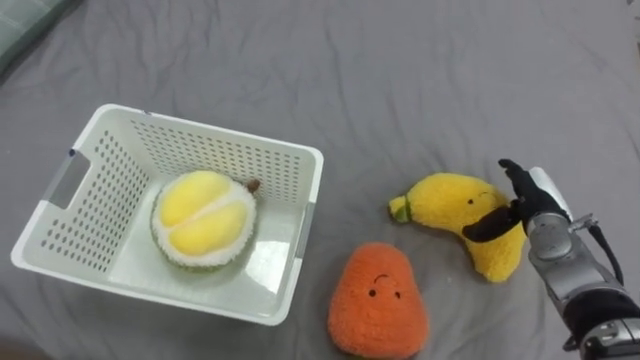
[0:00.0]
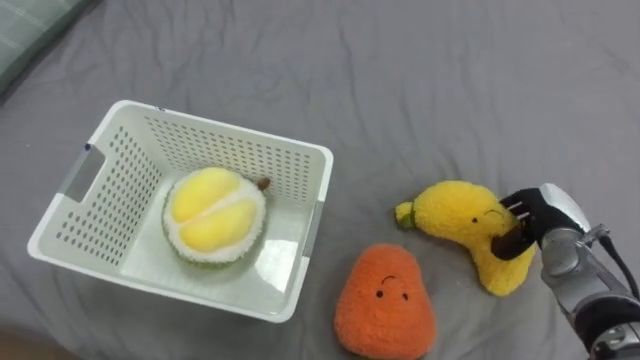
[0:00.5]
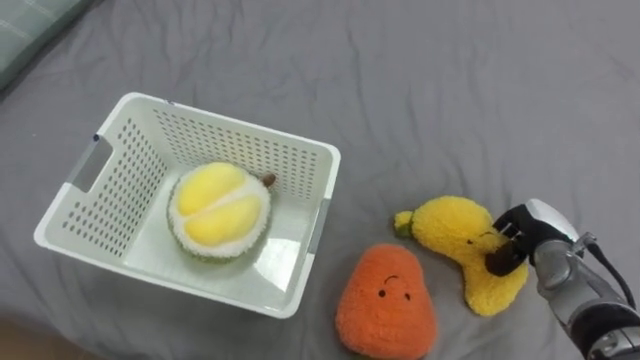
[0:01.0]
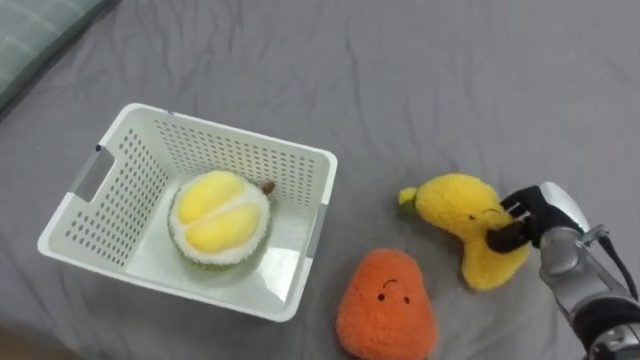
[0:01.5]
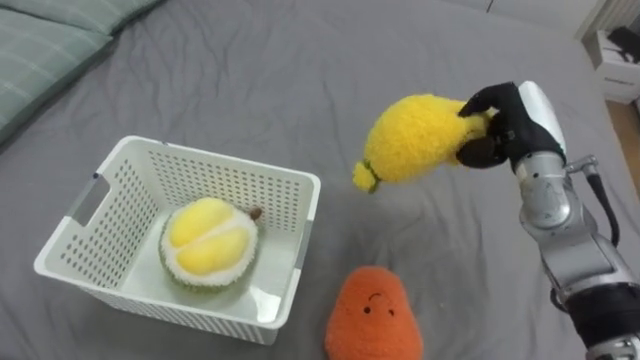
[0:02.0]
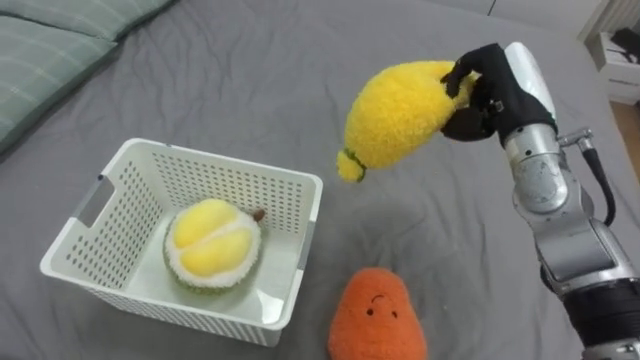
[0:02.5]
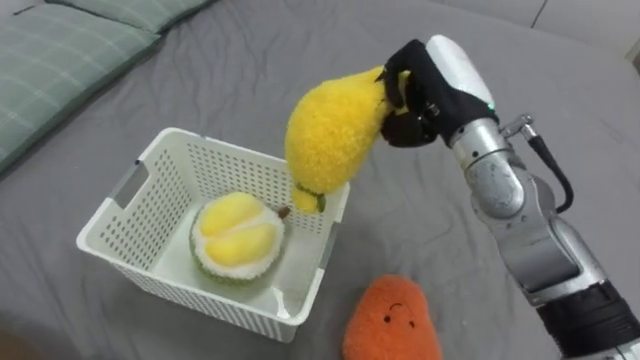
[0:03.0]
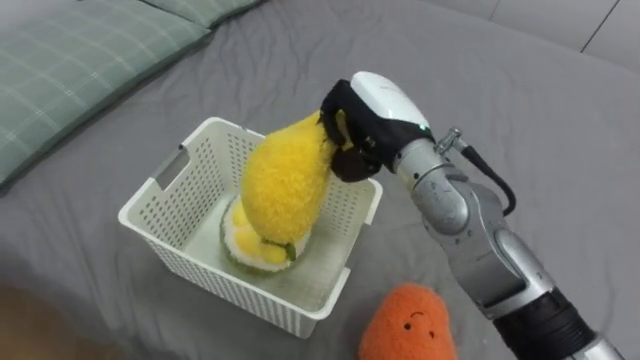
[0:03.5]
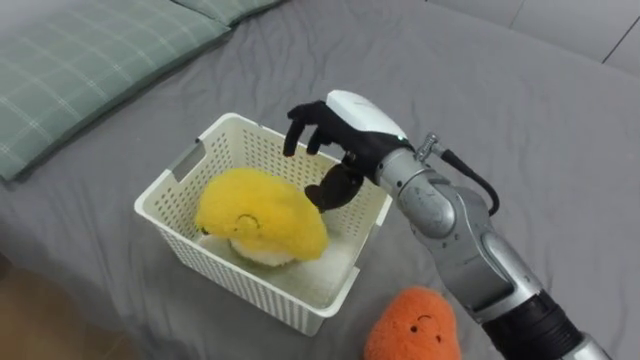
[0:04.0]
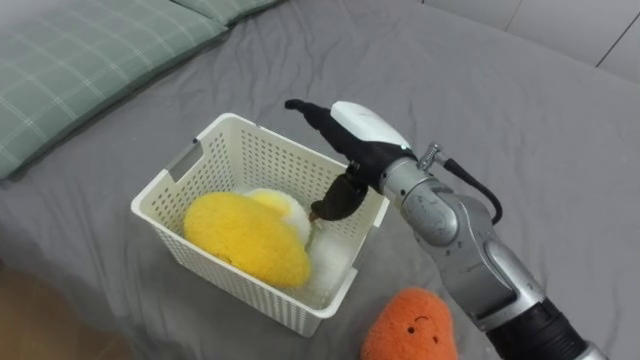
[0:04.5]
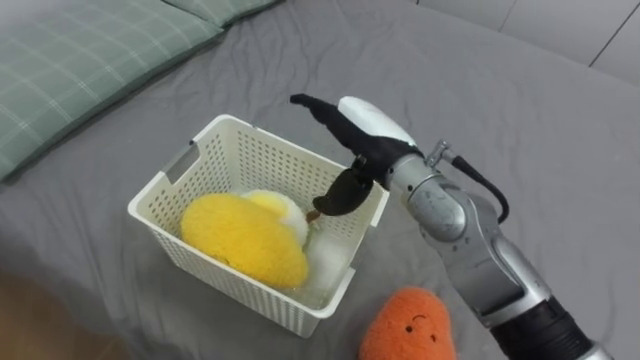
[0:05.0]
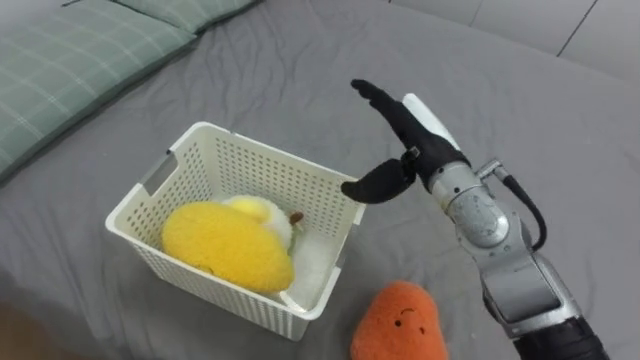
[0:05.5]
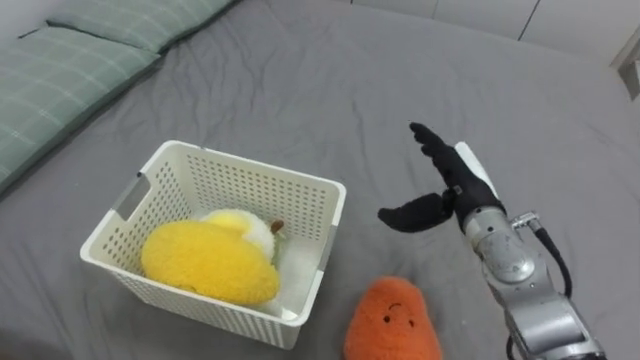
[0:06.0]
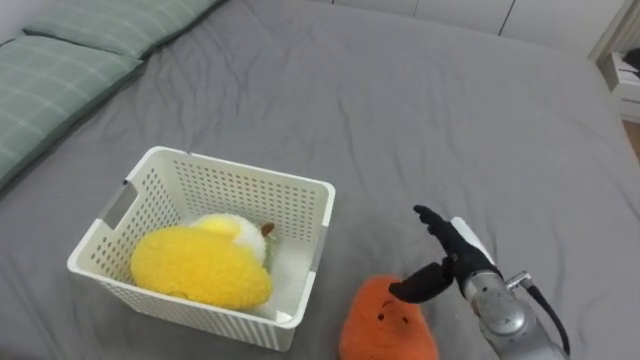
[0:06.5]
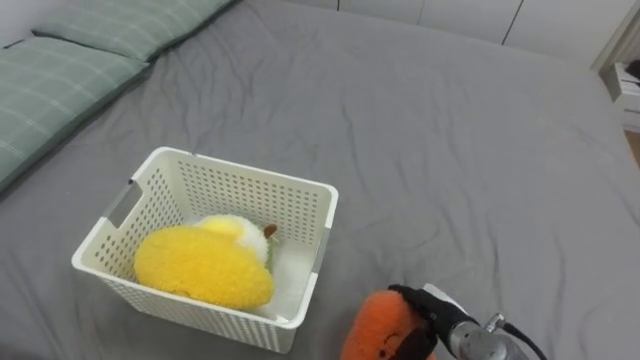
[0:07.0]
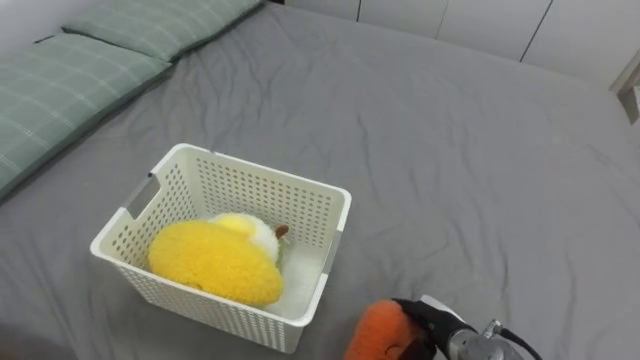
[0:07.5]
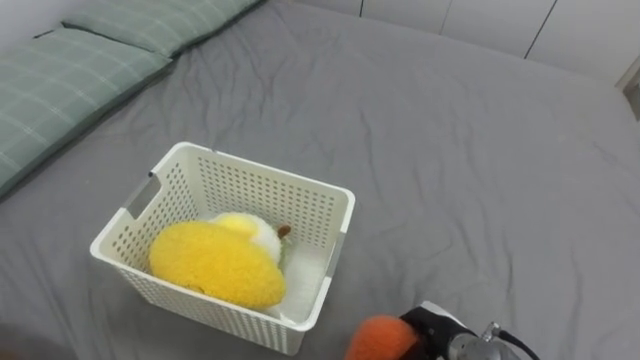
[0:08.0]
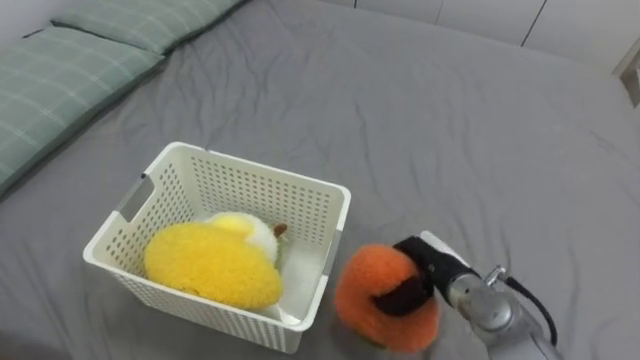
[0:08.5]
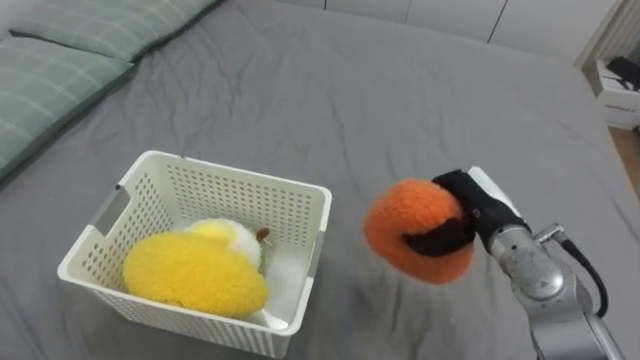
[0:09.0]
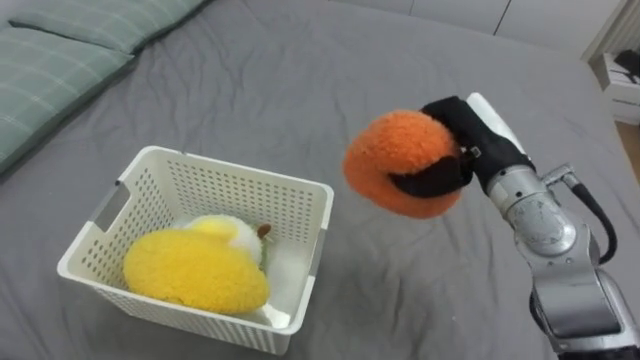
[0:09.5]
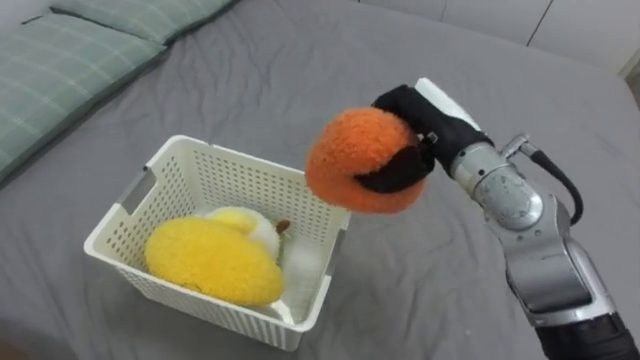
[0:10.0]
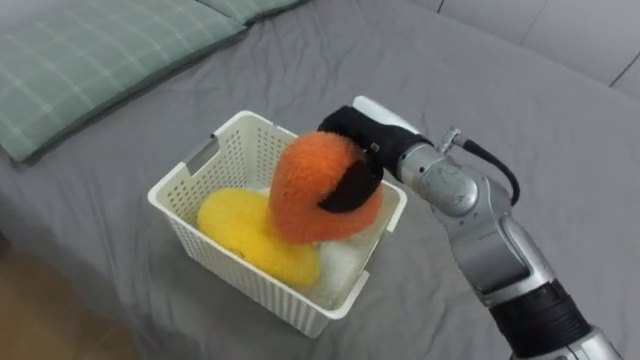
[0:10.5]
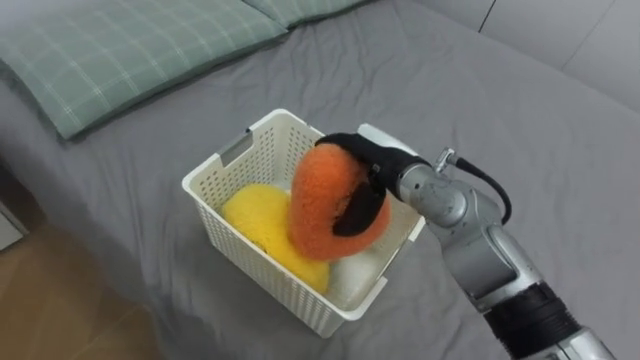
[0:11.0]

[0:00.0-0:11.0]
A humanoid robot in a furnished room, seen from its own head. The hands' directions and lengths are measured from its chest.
Task of the whole recording: Put the toys on the bed into the basket on the left.
0:00.0 to 0:02.0: The right hand moves upward, roughly 10 cm, and closes up.
0:02.0 to 0:03.5: The right hand is displaced to the left by some 20 cm.
0:03.5 to 0:05.5: The right hand ends up roughly 5 cm from where it was, and opens.
0:05.5 to 0:07.5: The right hand is displaced downward and backward by approximately 30 cm.
0:07.5 to 0:09.0: The right hand shifts approximately 20 cm upward and forward, and closes.
0:09.0 to 0:11.0: The right hand is displaced to the left and upward by approximately 15 cm, and opens up.

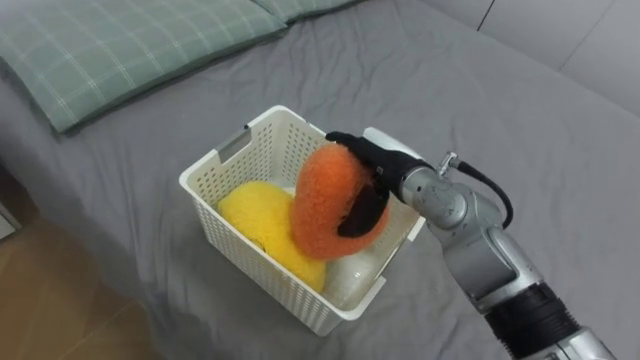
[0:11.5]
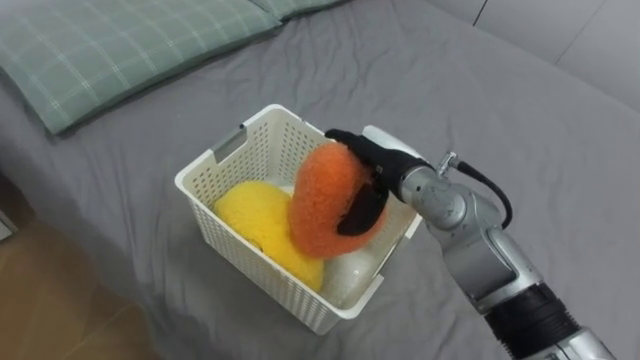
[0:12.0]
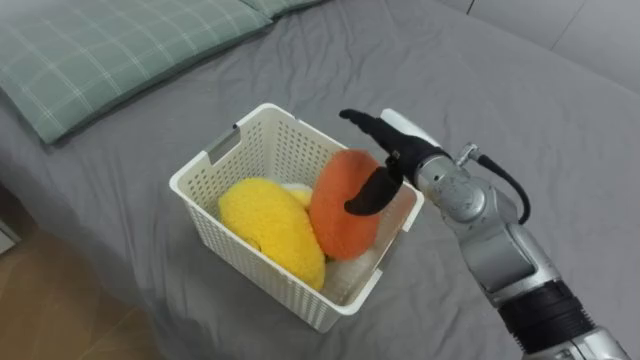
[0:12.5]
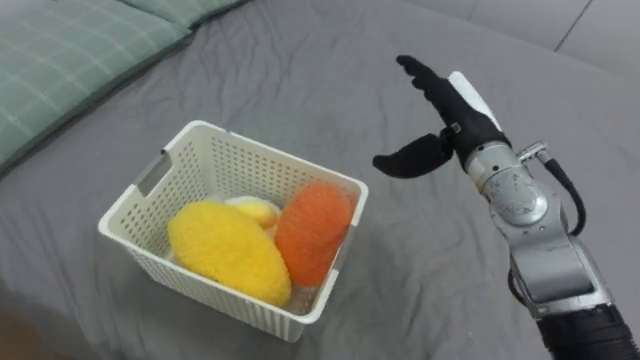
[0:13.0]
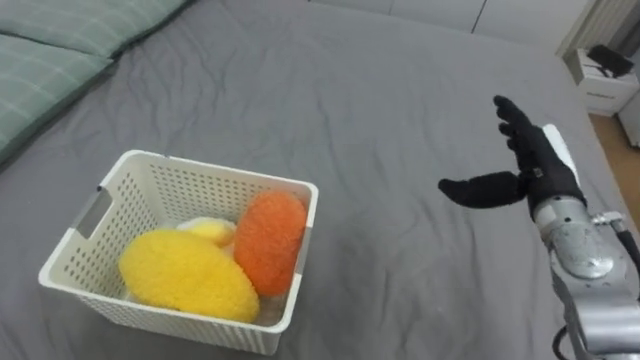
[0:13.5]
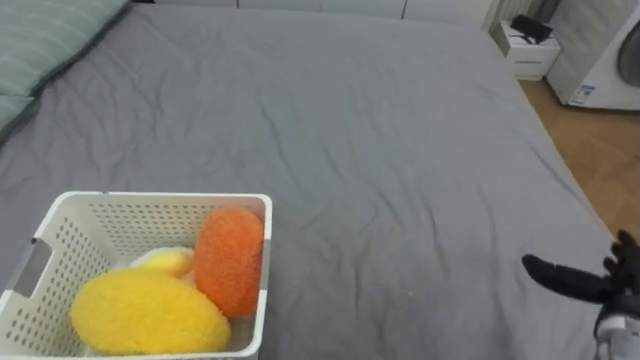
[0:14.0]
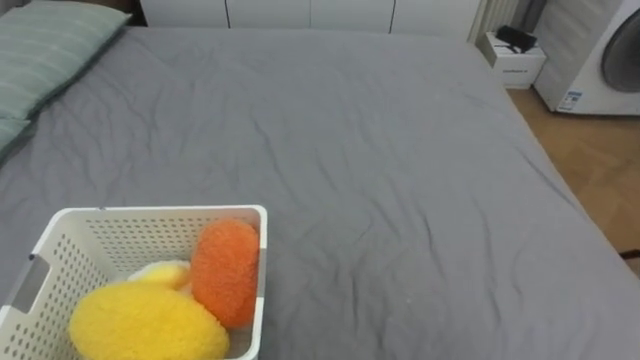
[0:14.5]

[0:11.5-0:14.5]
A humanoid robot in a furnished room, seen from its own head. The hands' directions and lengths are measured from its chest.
Task of the whole recording: Put the toys on the bed into the basket on the left.
0:11.5 to 0:13.0: The right hand goes some 10 cm to the right and upward.

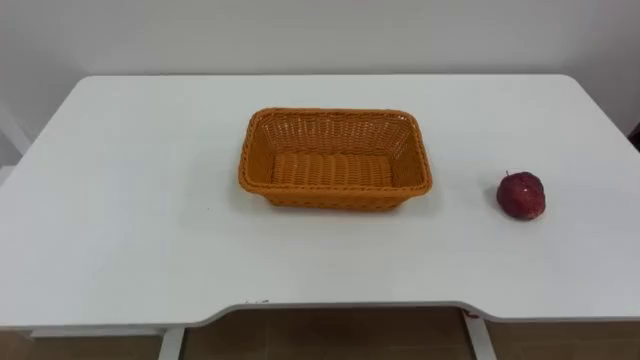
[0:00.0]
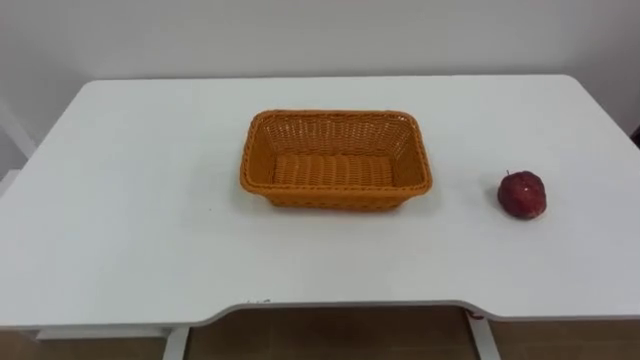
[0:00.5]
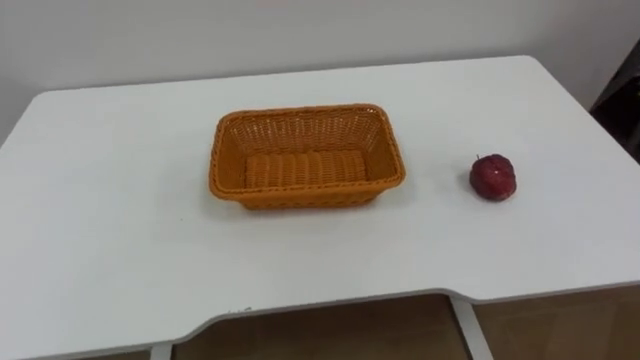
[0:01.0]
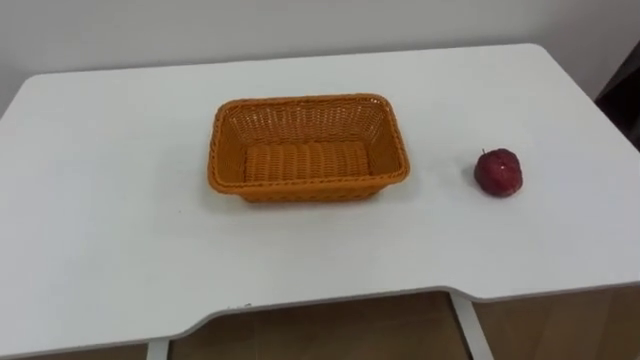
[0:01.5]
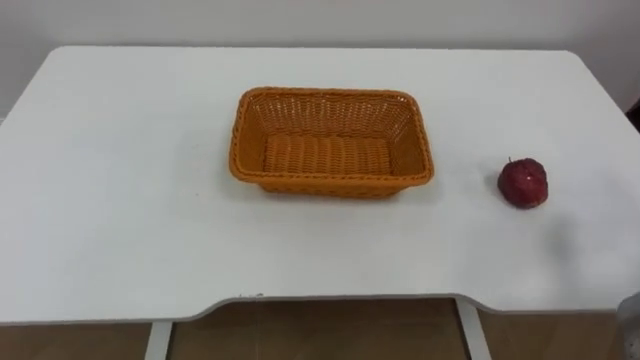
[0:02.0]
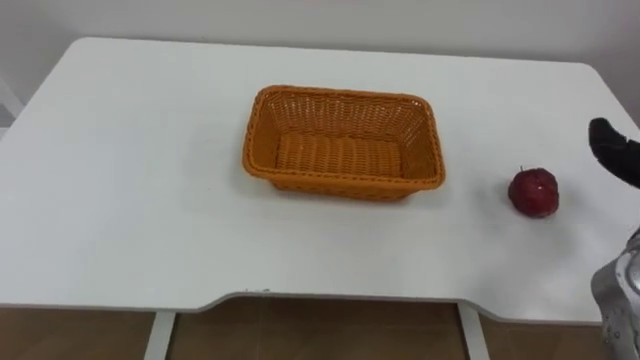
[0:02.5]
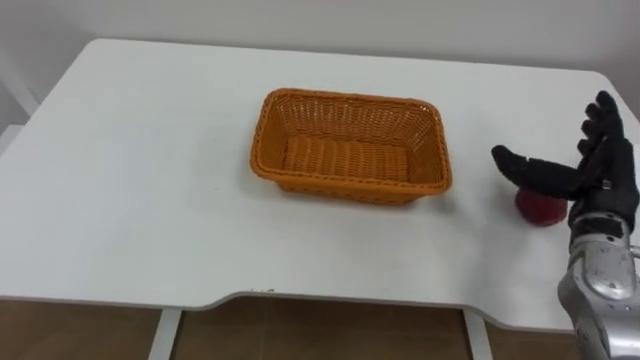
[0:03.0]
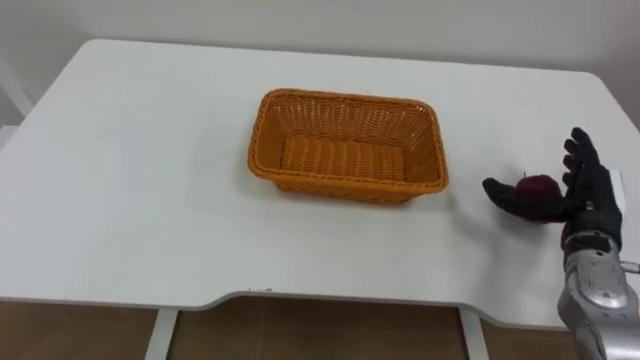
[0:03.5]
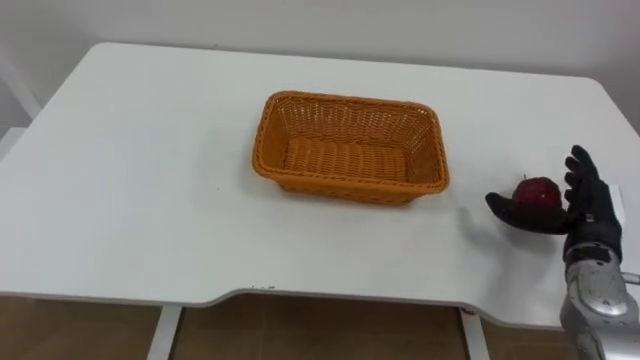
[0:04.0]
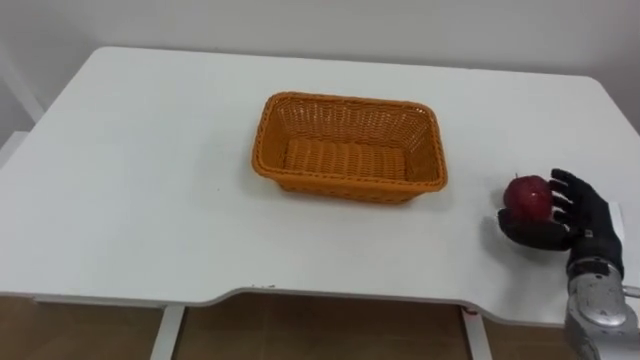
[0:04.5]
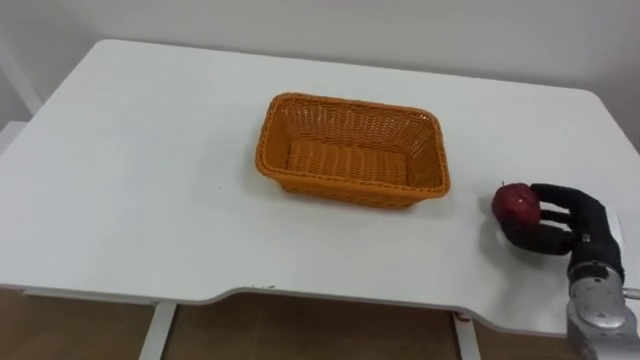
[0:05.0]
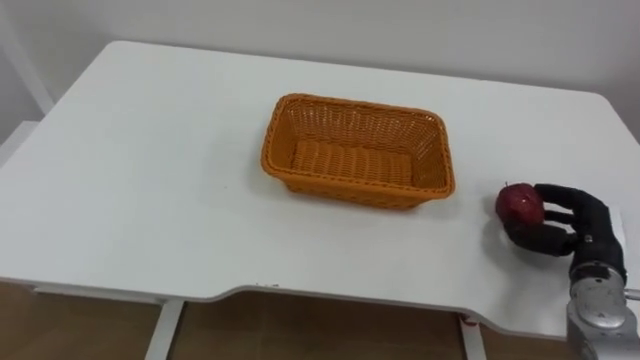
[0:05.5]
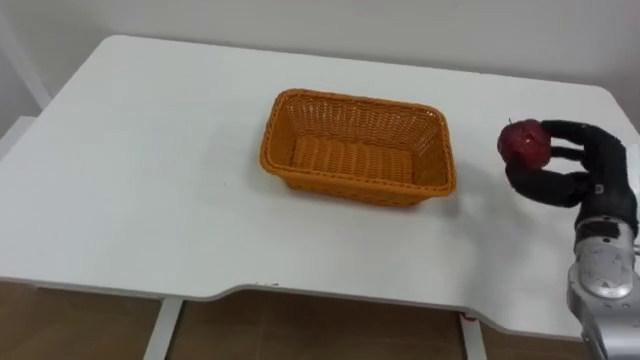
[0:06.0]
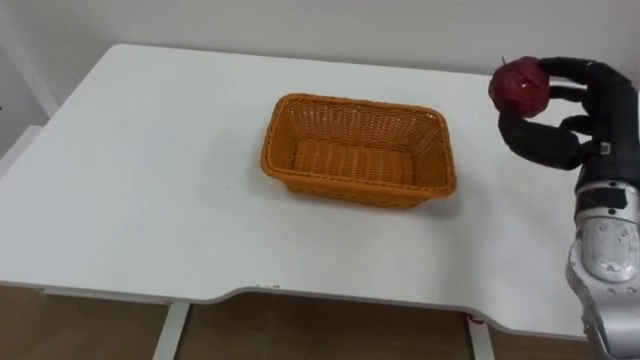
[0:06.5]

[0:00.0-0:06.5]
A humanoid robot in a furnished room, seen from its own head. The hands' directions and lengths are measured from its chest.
Task of the whole recording: Pick the apple and place it in the box.
0:04.5 to 0:06.5: The right hand heads upward, covering some 15 cm.
